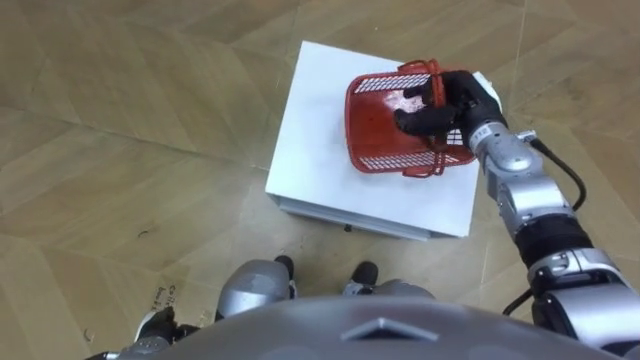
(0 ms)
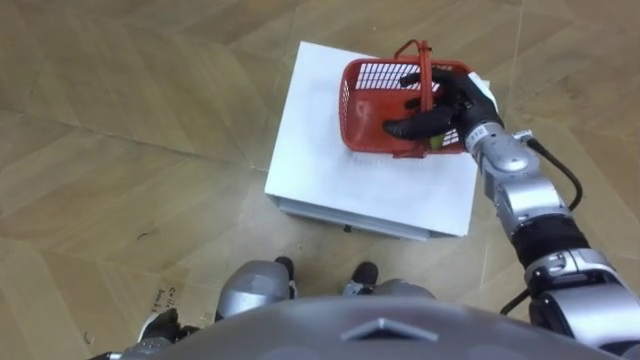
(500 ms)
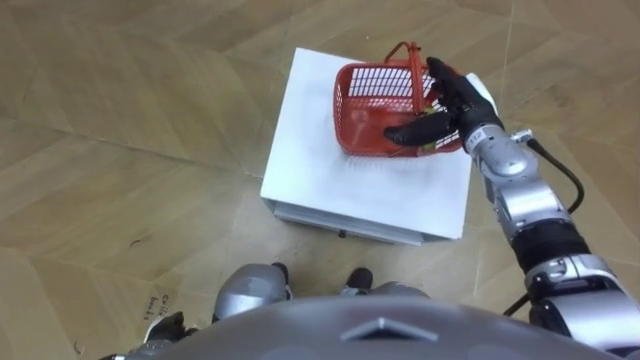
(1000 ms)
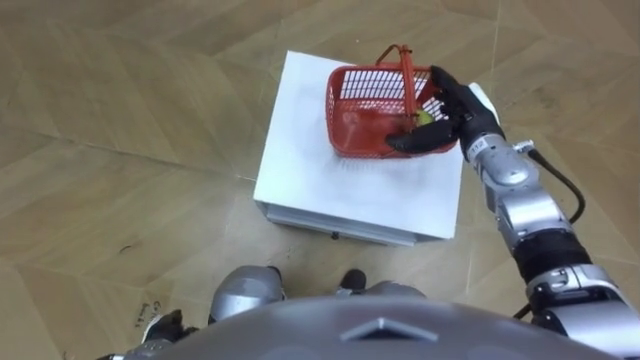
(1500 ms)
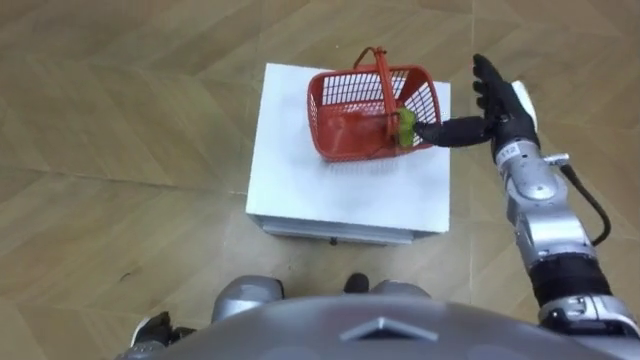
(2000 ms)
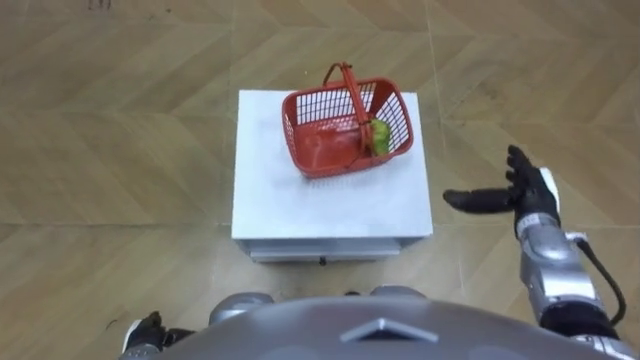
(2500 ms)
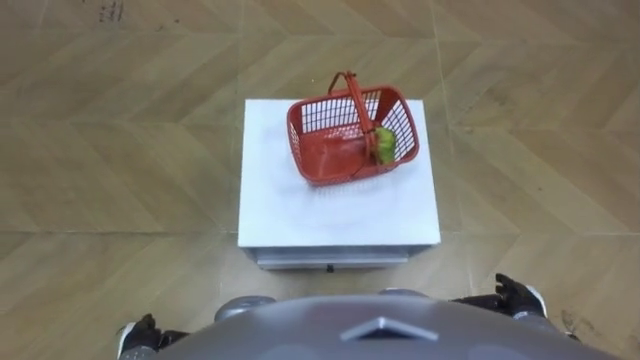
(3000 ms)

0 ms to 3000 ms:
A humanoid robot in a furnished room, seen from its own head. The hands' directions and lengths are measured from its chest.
Task of the whole recording: Pick up the fruit basket from the floor and place it on the cabinet.
0 ms to 1500 ms: The right hand opens its fingers.
1500 ms to 3000 ms: The right hand is displaced backward and downward by about 30 cm.
